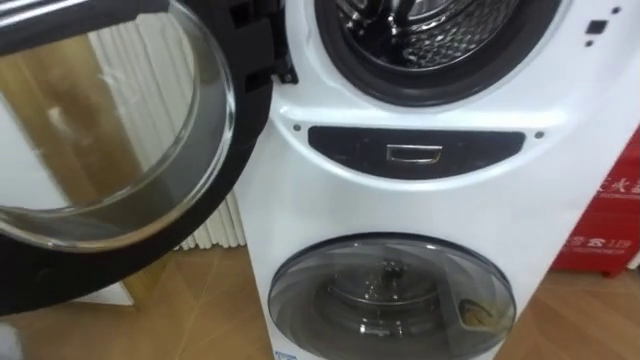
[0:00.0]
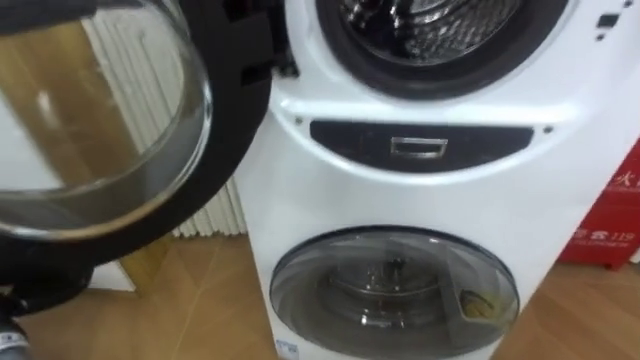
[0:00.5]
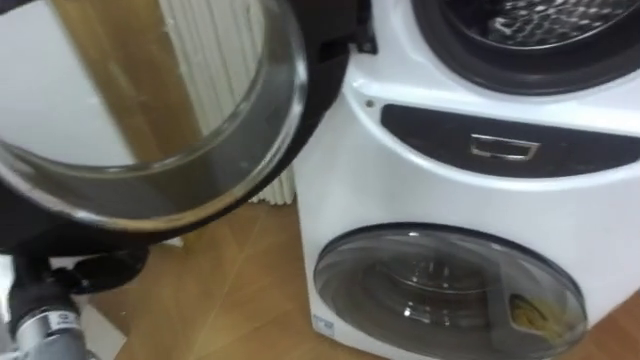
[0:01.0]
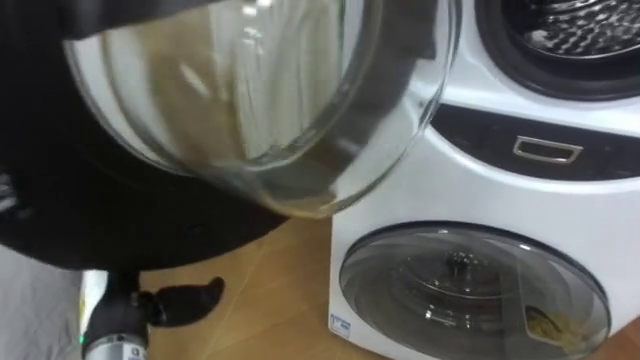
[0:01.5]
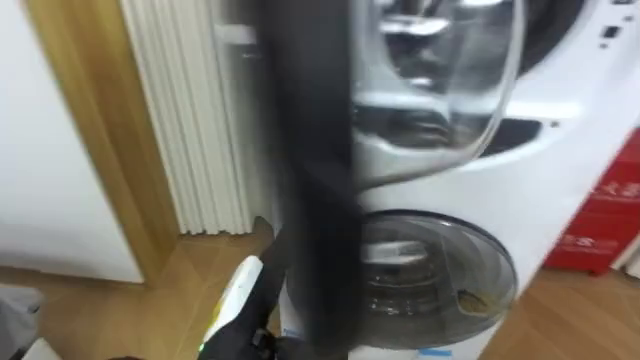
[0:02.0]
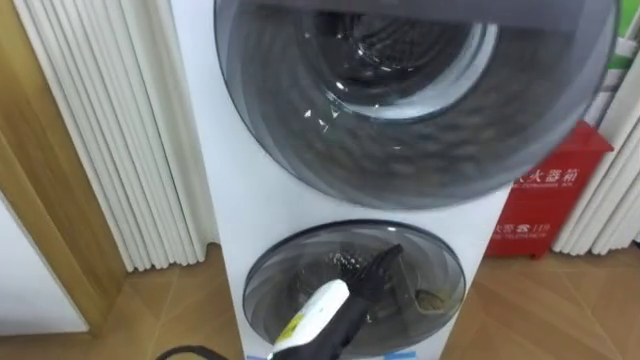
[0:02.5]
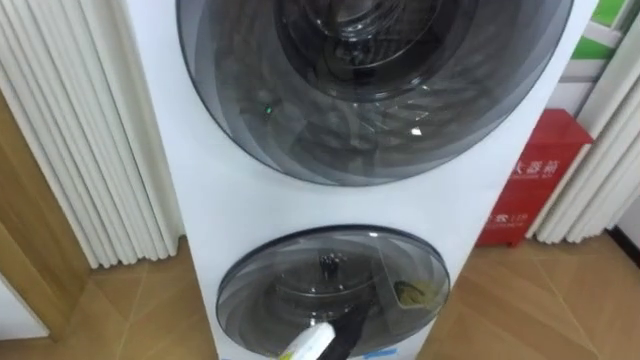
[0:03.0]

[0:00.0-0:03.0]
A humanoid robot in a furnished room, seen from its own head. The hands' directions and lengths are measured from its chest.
Task of the whole recording: Open the washing machine door, take out the yellow clothes, place them in the box on the right, and close the washing machine door.
0:01.5 to 0:03.0: The robot faces about 15 degrees further to its right.

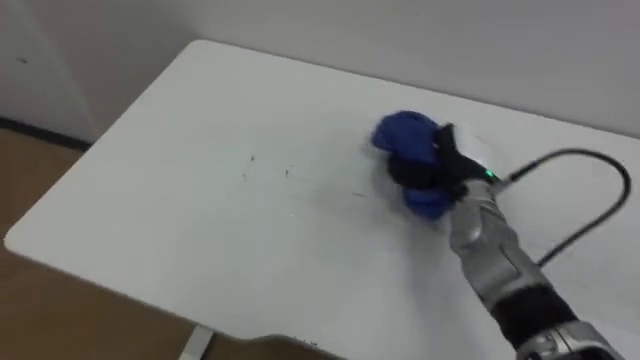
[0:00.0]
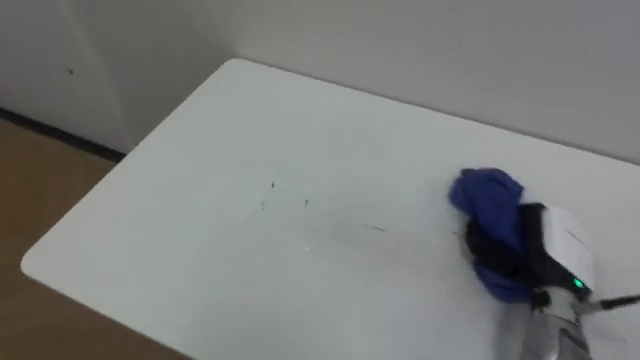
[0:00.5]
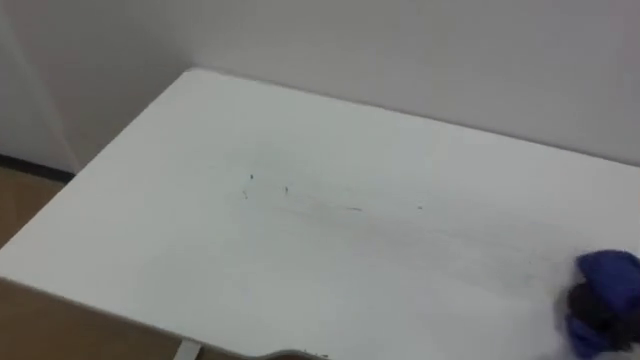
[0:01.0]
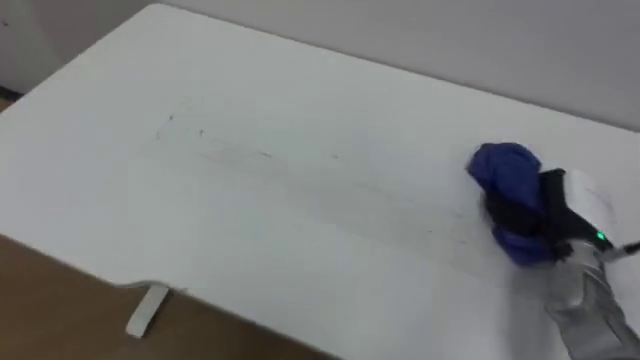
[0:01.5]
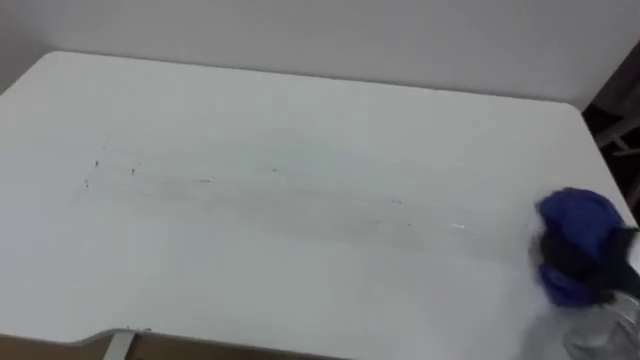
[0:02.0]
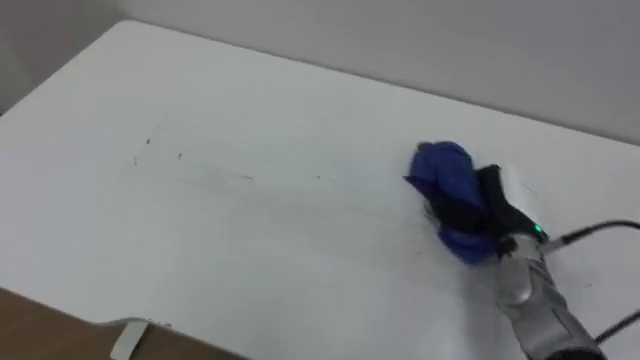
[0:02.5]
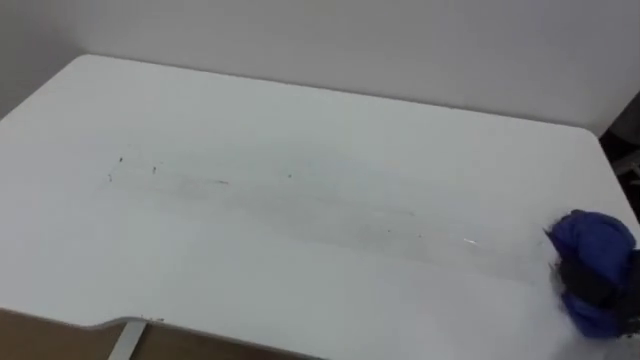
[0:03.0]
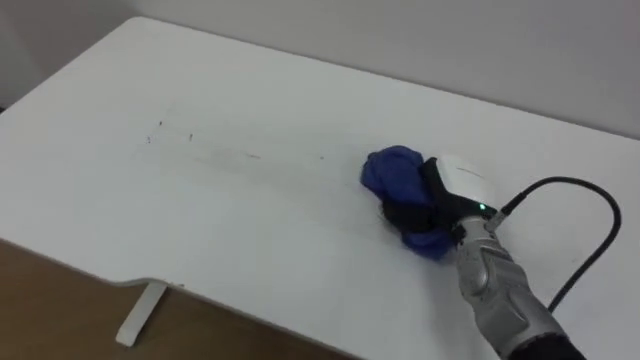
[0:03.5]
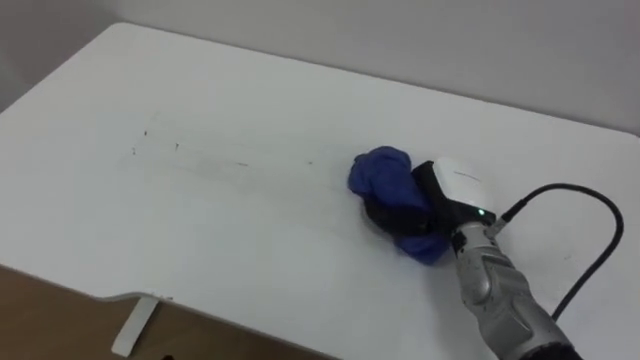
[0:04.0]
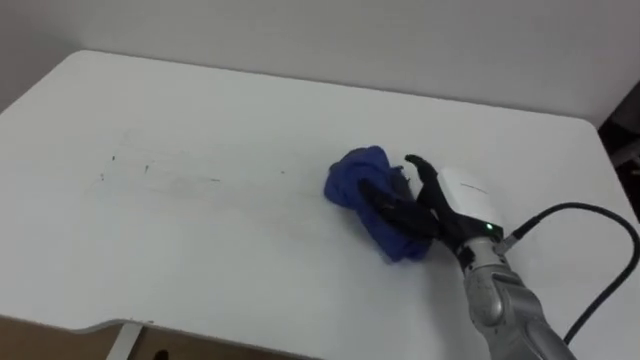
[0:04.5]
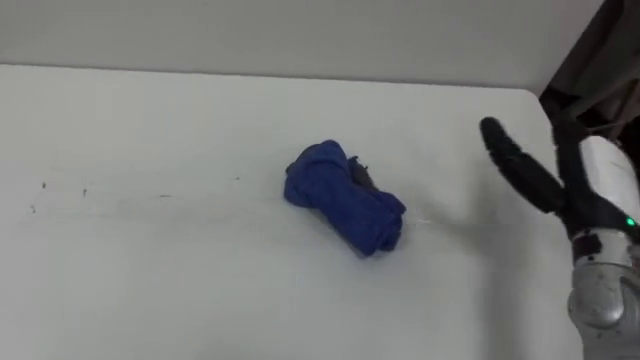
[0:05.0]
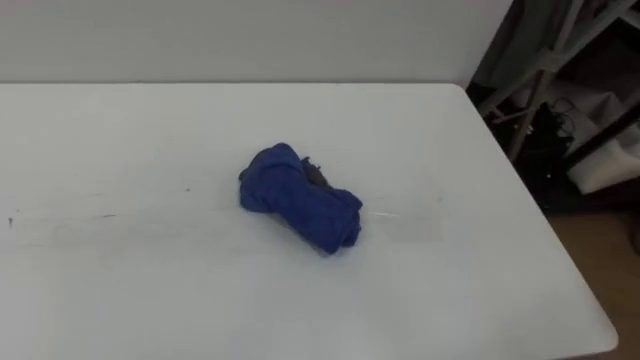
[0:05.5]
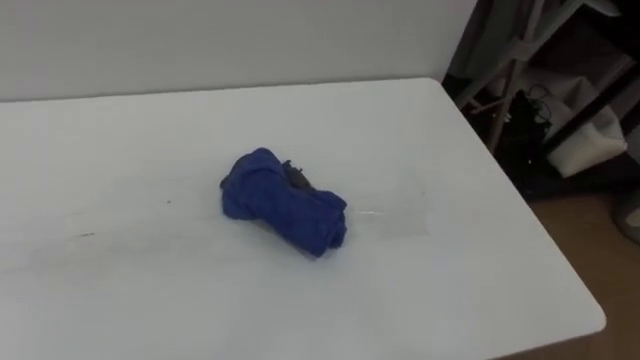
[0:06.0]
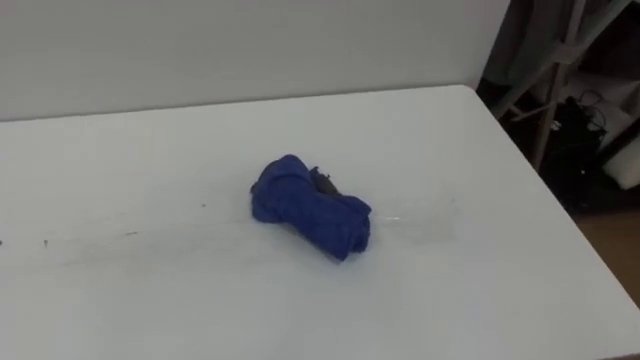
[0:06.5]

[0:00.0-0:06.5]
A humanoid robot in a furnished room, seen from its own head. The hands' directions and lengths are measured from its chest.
Task of the whole recording: Wipe the blue pen marks off the table with the rag.
0:02.0 to 0:04.5: The right hand swings left and right, roughly 20 cm each way, with 2 reversals, and opens up.

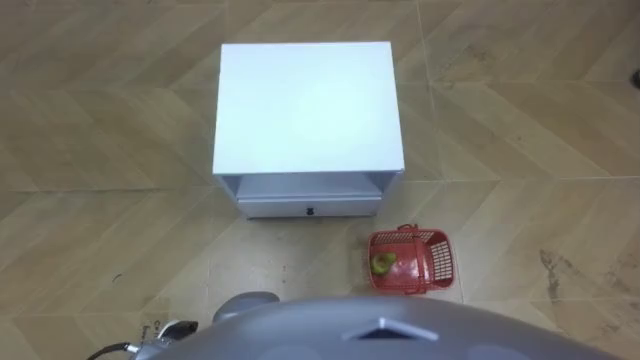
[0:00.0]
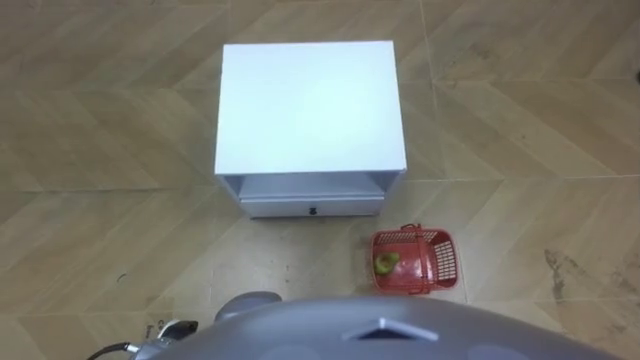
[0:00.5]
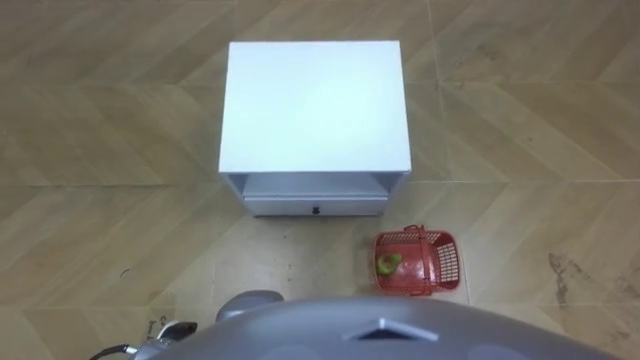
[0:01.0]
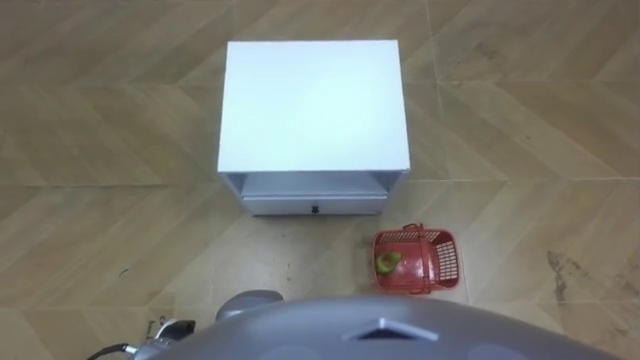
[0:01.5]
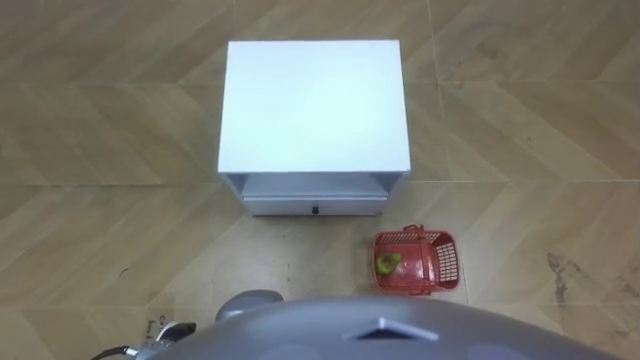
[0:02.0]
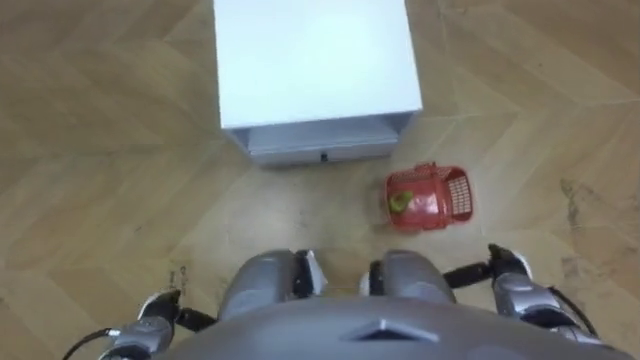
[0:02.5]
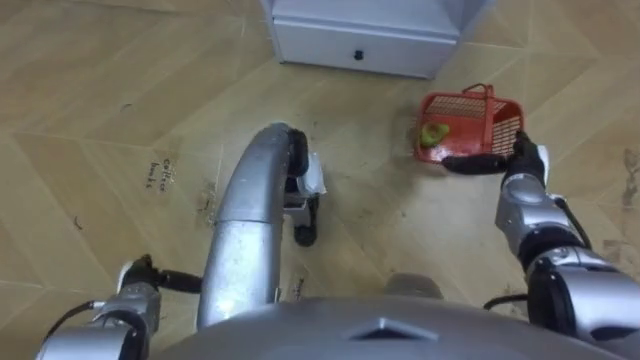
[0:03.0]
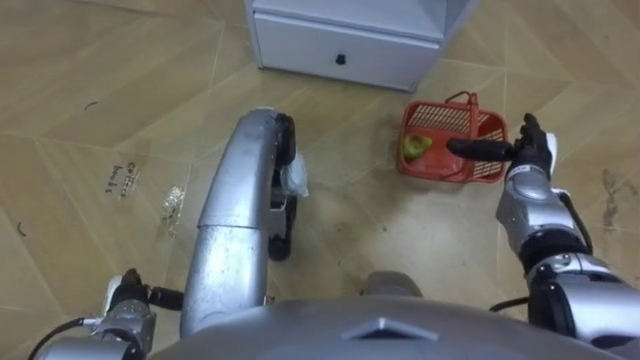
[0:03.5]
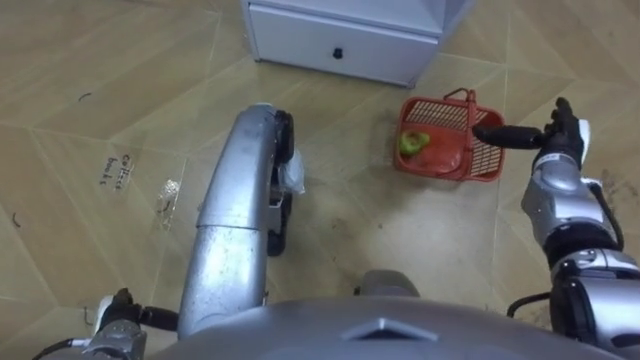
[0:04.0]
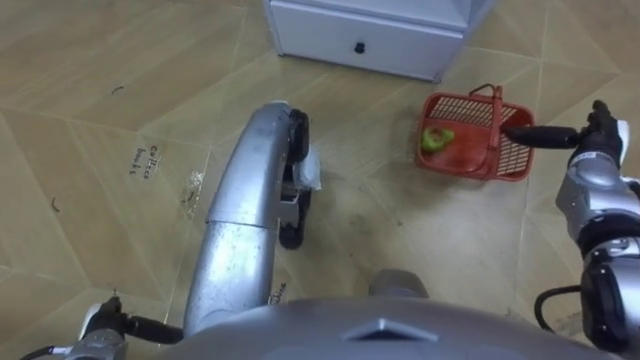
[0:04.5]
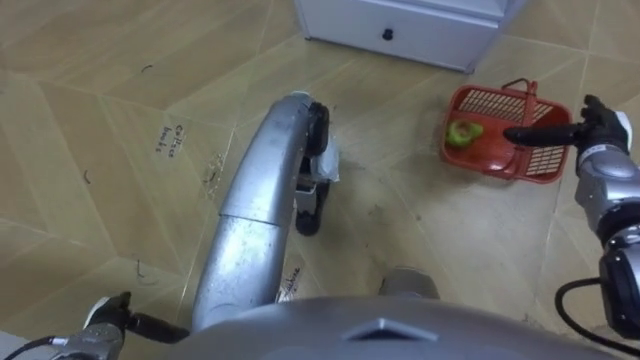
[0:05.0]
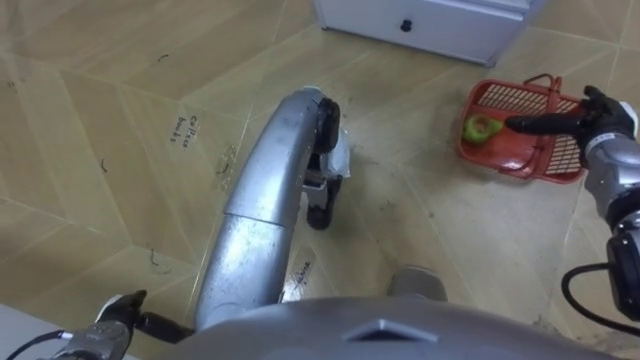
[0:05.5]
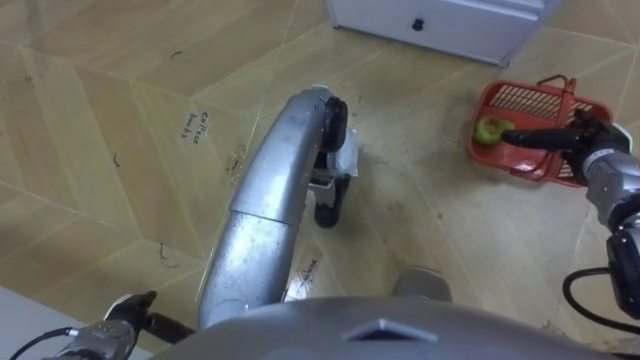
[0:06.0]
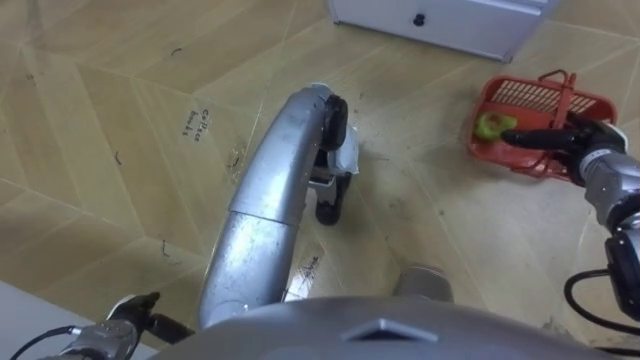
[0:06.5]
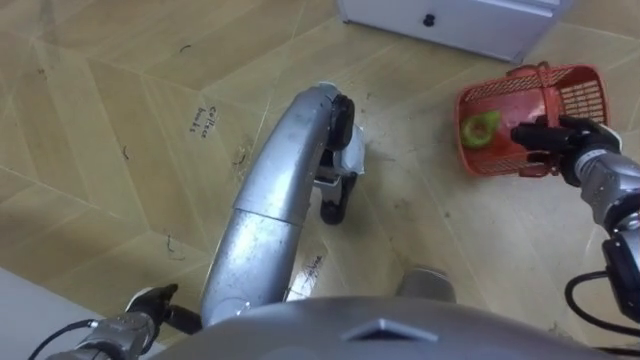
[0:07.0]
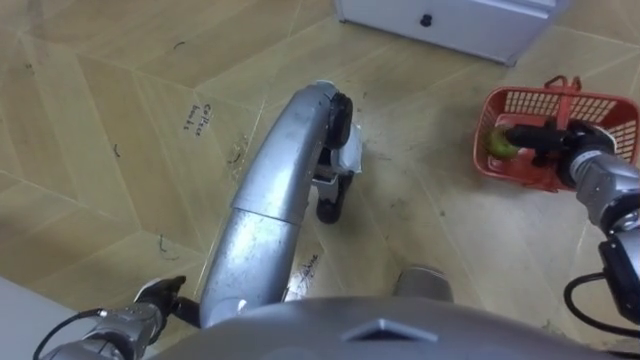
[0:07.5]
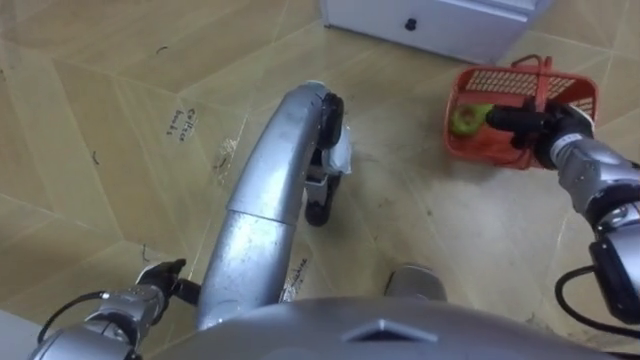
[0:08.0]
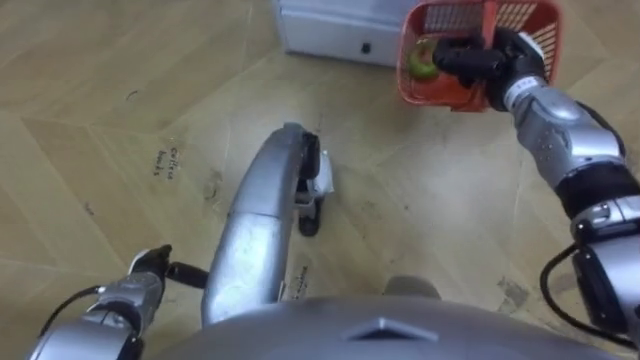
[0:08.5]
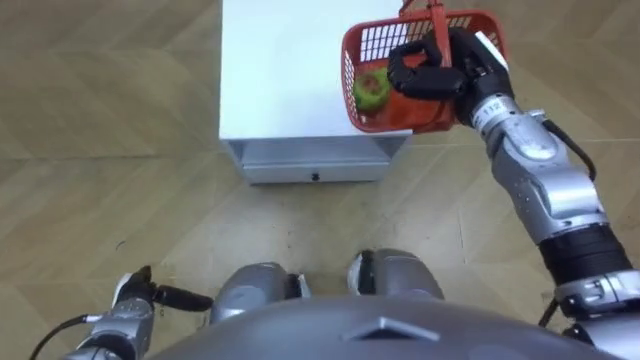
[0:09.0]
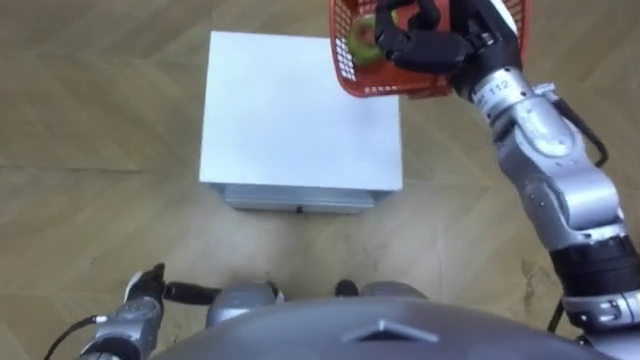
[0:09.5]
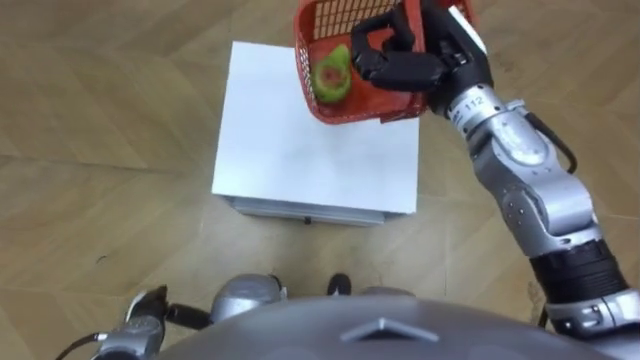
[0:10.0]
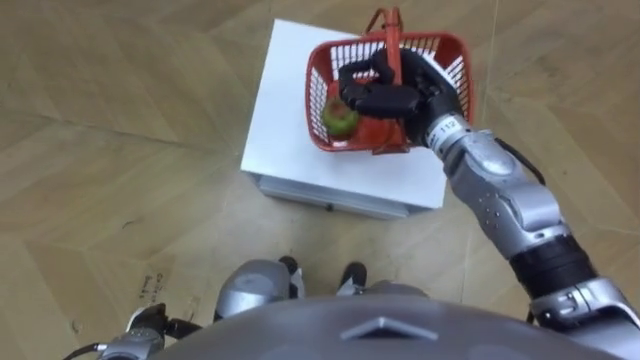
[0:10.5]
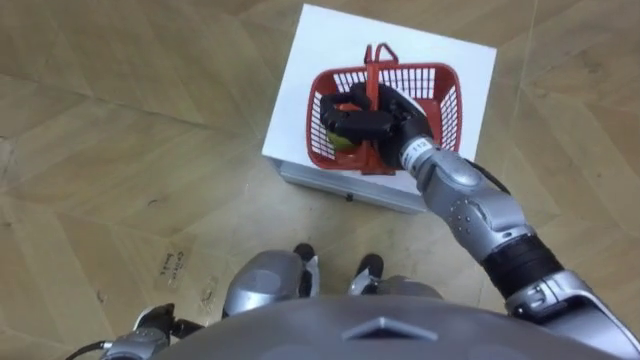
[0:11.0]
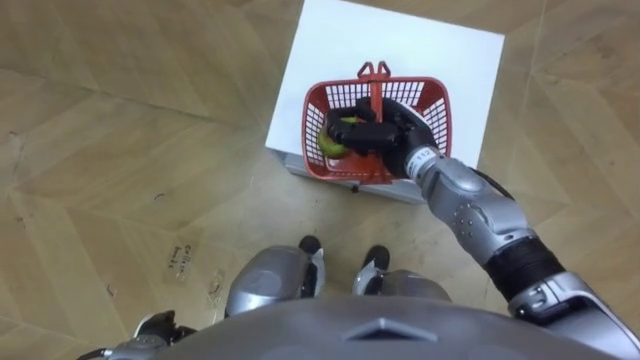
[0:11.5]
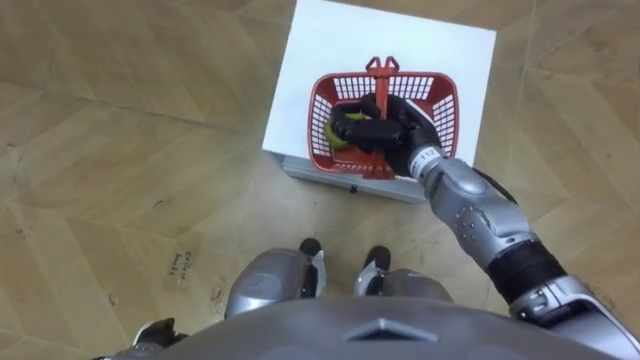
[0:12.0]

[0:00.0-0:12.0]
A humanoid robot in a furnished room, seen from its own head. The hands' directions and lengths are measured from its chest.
Task of the whole recording: Pick up the fruit basket from the floor and place it on the cabinet.
0:02.0 to 0:04.0: The right hand goes approximately 30 cm forward and upward. Meanwhile the left hand moves to the left, roughly 10 cm.
0:06.0 to 0:08.0: The left hand travels forward by some 5 cm. Meanwhile the right hand ends up some 5 cm from where it was, and closes its fingers.
0:08.0 to 0:10.0: The right hand goes some 25 cm to the left and upward.
0:10.0 to 0:12.0: The right hand shifts some 10 cm downward.
